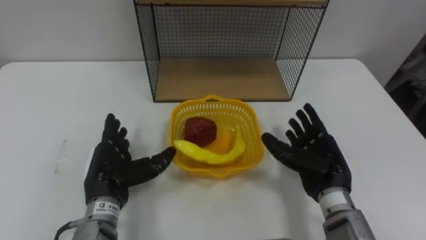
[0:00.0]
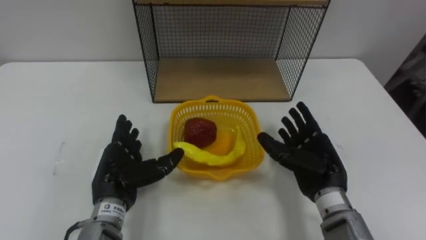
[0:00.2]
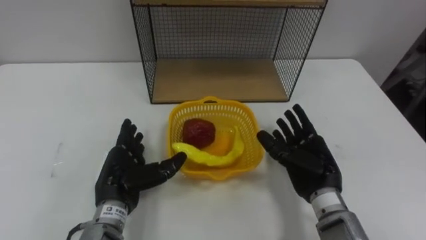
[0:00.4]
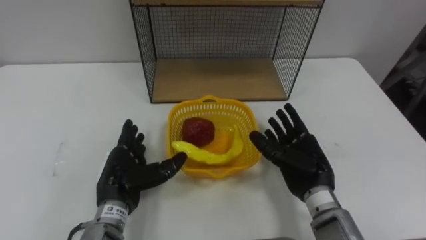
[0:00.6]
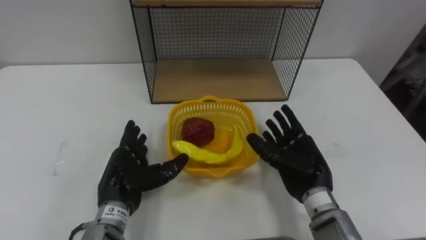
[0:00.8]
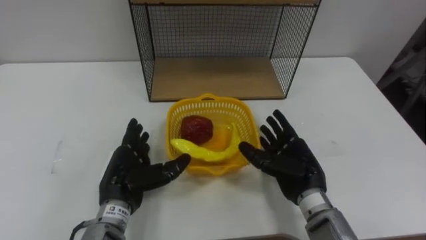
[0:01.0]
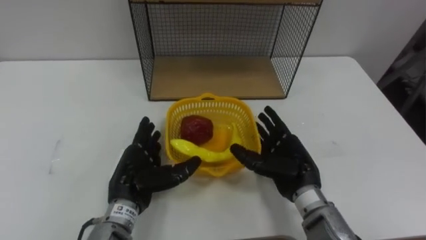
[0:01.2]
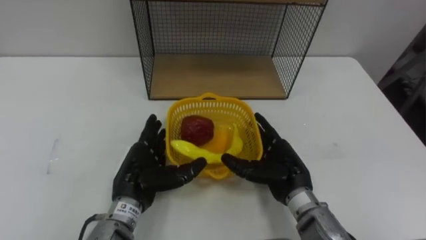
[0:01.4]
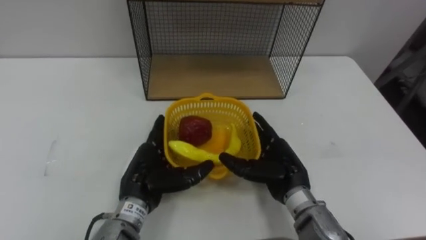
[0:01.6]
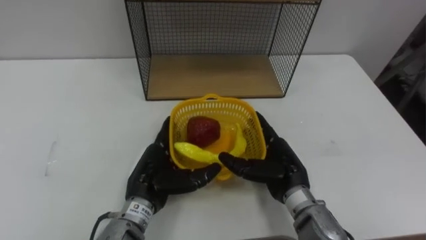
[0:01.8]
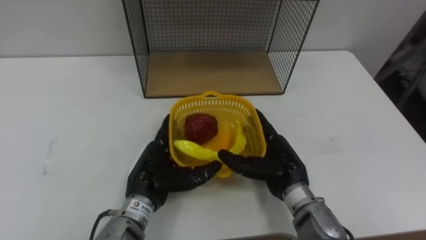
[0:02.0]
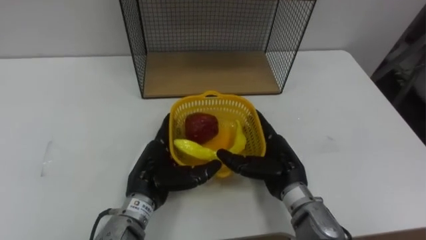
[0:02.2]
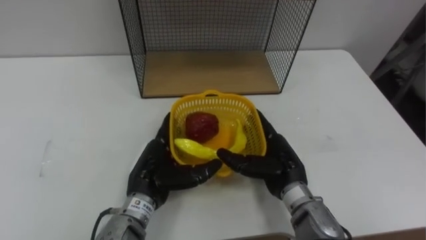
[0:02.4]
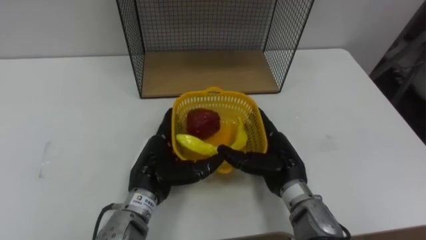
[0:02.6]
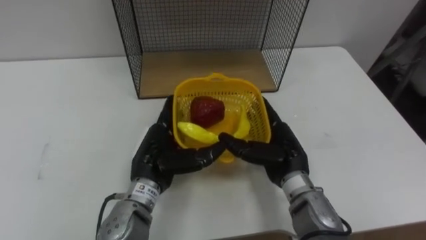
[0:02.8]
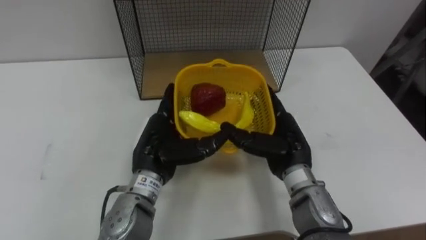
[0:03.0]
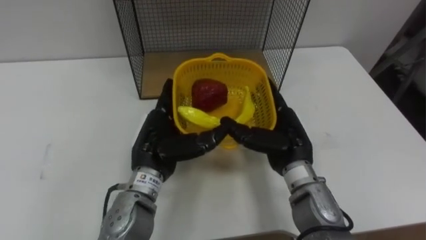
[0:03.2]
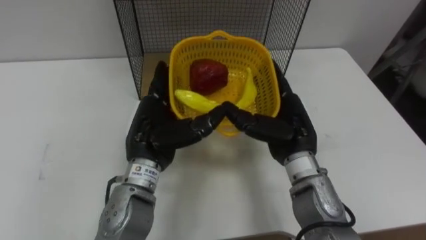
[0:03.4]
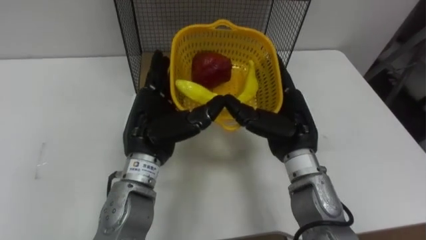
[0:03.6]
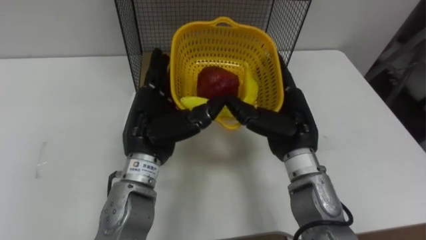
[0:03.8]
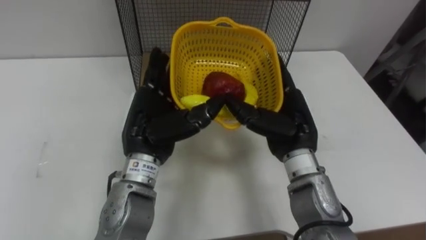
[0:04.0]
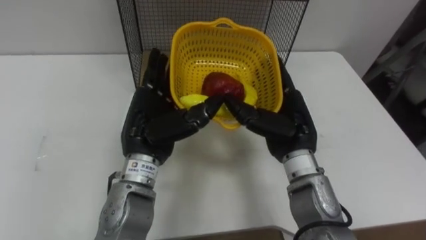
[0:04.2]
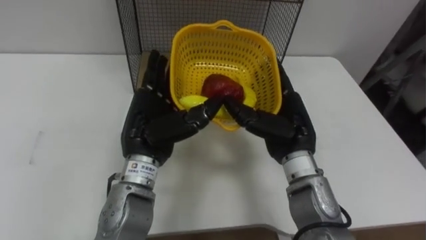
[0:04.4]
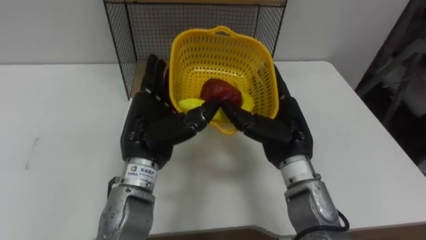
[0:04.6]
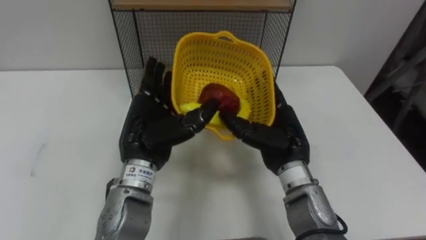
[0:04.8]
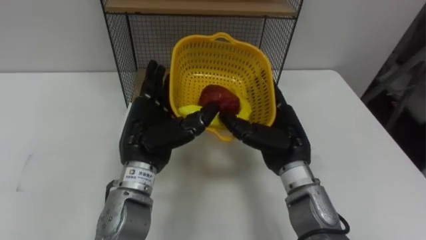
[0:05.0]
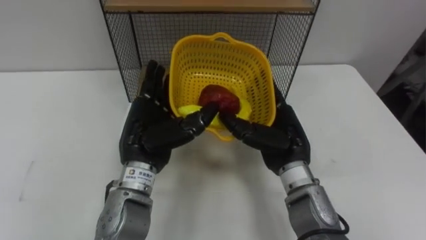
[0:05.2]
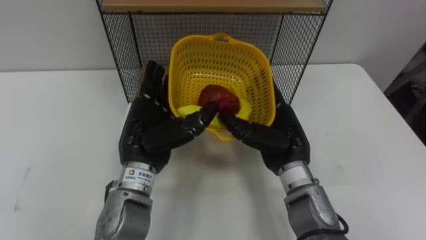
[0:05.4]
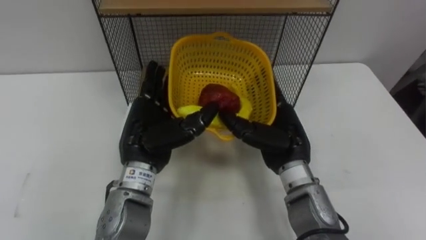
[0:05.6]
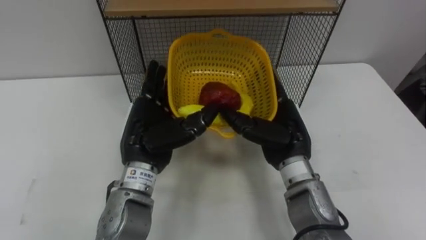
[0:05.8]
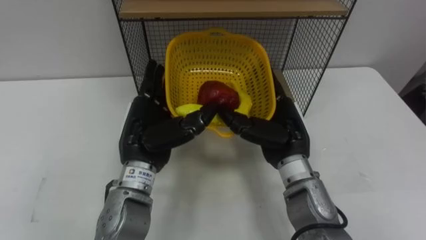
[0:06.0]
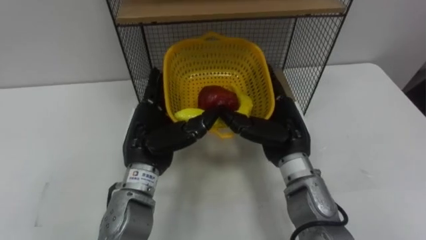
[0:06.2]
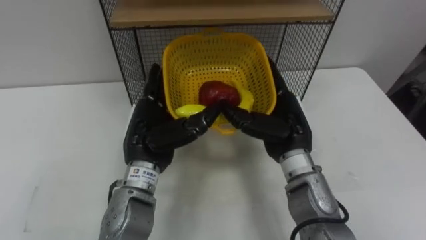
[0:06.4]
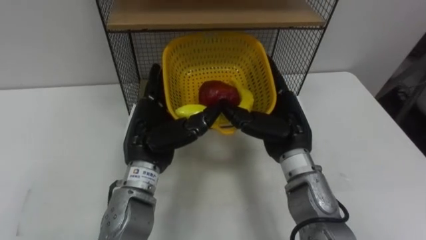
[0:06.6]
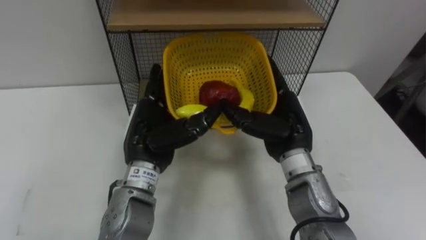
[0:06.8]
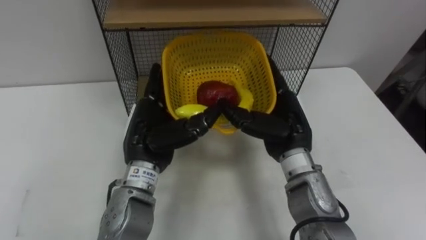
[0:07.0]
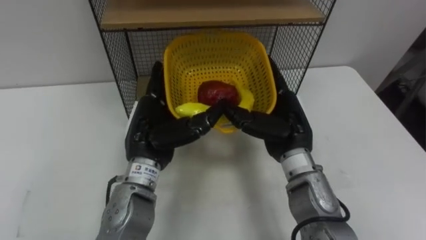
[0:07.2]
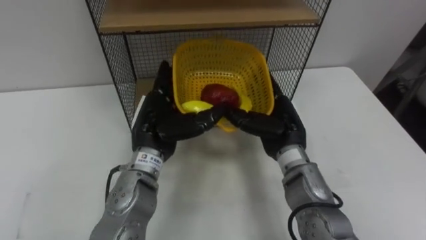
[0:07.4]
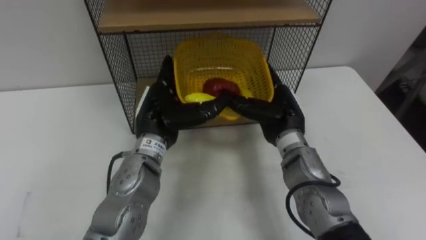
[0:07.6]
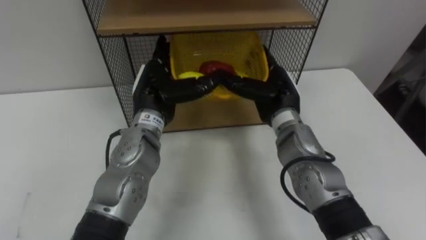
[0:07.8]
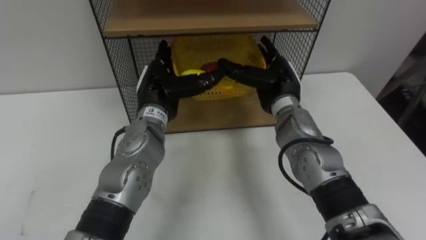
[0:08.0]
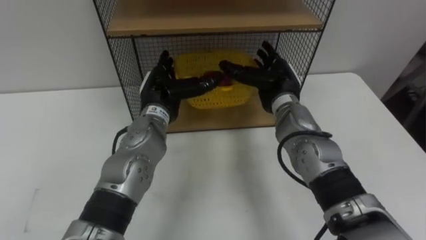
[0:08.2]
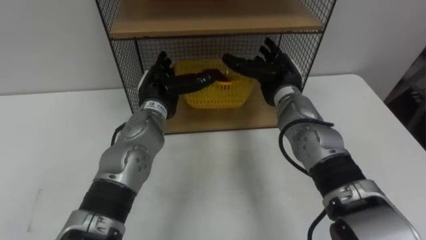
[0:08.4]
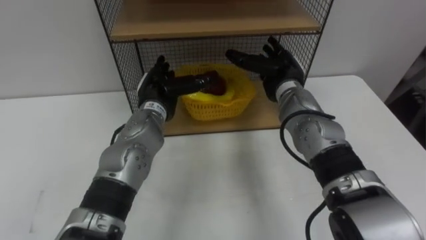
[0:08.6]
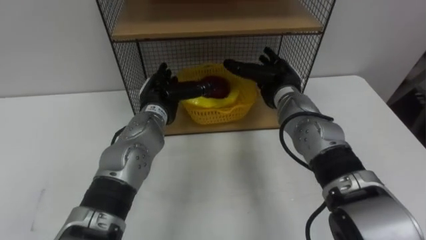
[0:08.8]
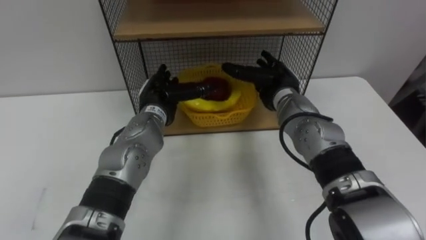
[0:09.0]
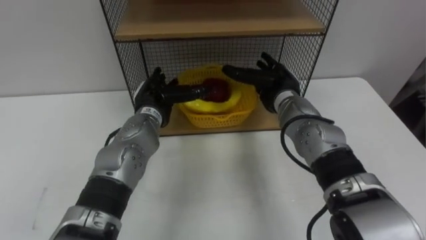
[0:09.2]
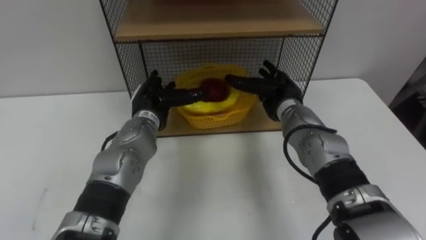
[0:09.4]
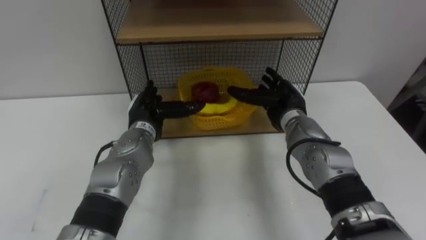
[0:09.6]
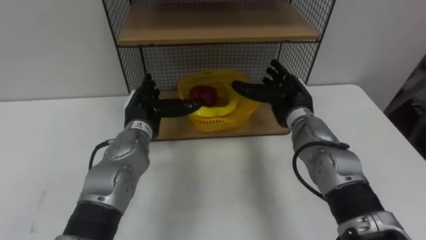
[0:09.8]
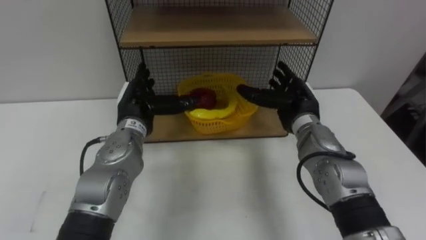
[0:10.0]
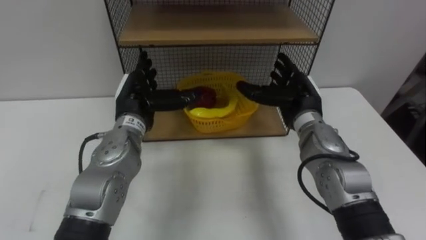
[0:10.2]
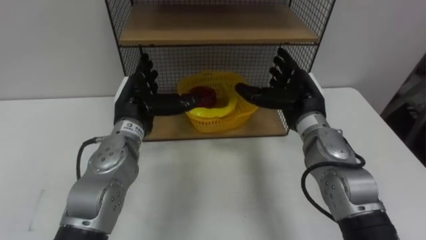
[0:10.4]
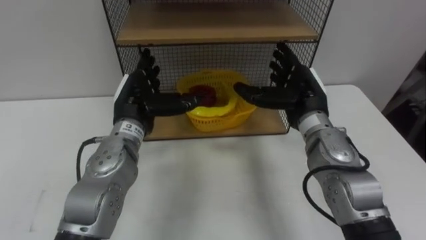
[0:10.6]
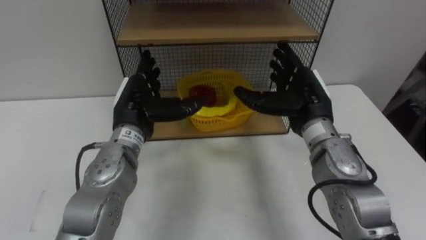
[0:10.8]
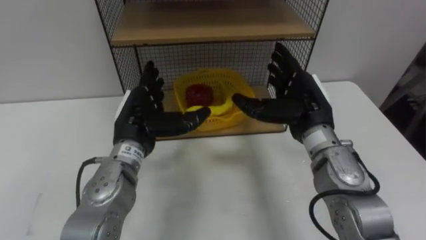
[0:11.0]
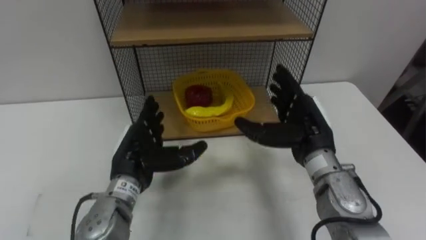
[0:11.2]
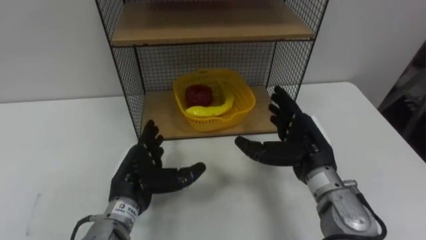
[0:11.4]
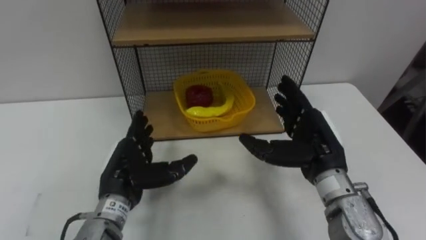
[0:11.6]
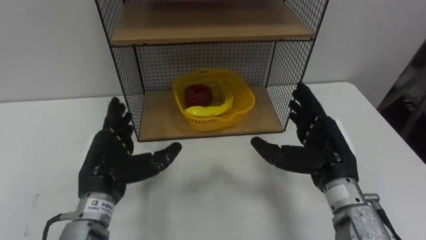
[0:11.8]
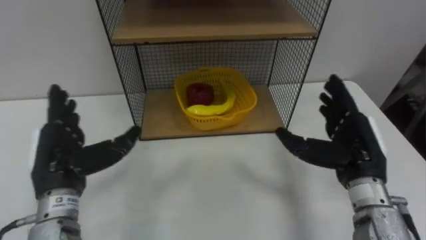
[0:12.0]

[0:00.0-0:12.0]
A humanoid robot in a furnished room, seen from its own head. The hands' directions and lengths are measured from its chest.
Task of the whole recording: Put the fruit on the table into the basket, then place the basket on the shelf.
0:00.0 to 0:01.6: The left hand is displaced to the right by roughly 5 cm, while the right hand travels to the left by roughly 5 cm.
0:01.6 to 0:03.0: The right hand moves roughly 5 cm. Meanwhile the left hand changes place by roughly 5 cm.
0:03.0 to 0:04.4: The left hand is displaced upward by some 5 cm.
0:06.0 to 0:07.6: The right hand moves roughly 5 cm.
0:07.6 to 0:09.0: The two hands go approximately 5 cm forward.
0:09.0 to 0:10.4: The left hand changes place by some 5 cm; the right hand shifts about 5 cm backward.
0:10.4 to 0:12.0: The left hand goes about 15 cm backward and to the left. The right hand moves backward and to the right, some 15 cm.

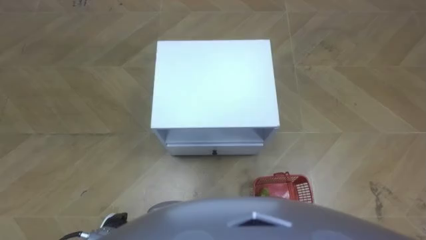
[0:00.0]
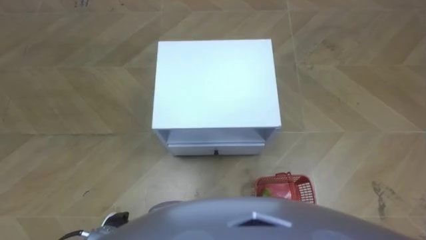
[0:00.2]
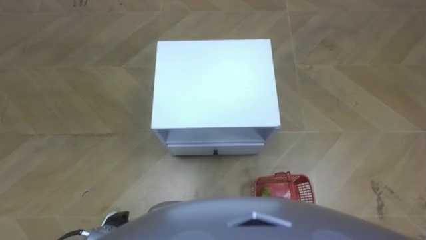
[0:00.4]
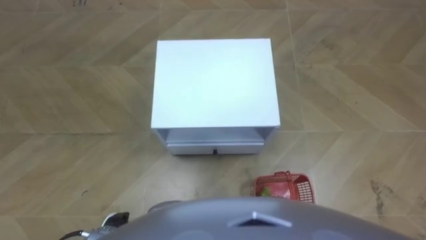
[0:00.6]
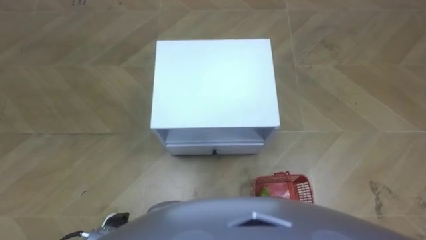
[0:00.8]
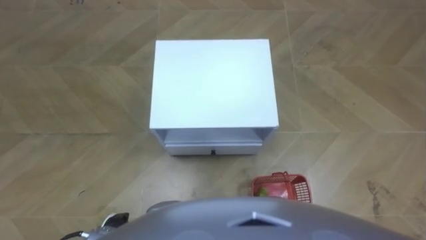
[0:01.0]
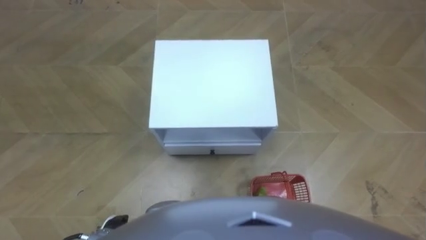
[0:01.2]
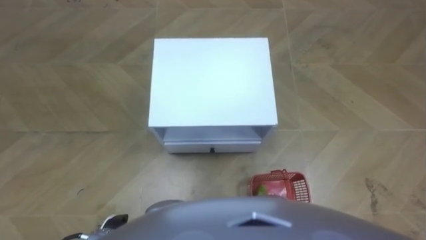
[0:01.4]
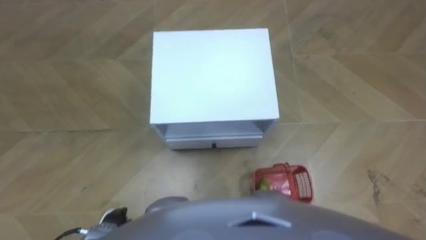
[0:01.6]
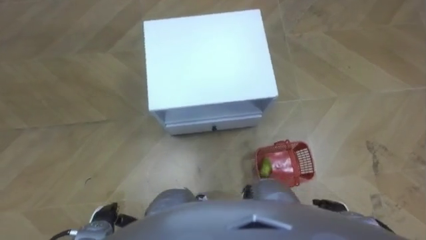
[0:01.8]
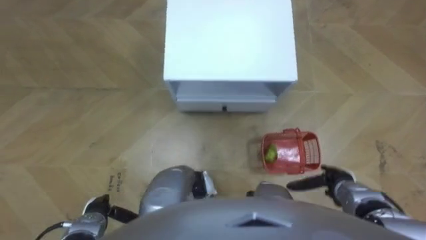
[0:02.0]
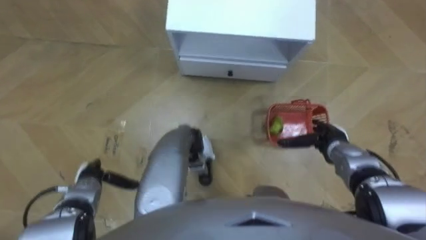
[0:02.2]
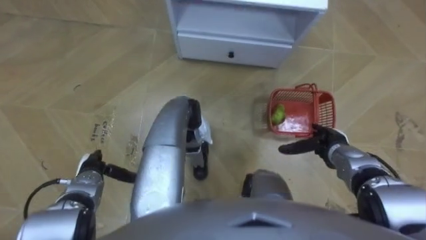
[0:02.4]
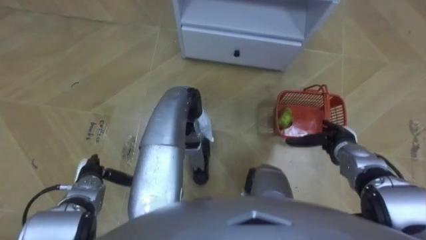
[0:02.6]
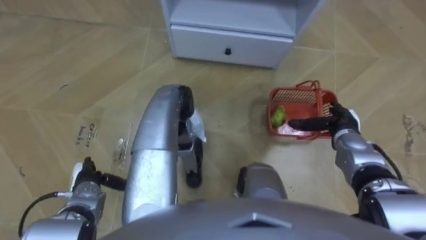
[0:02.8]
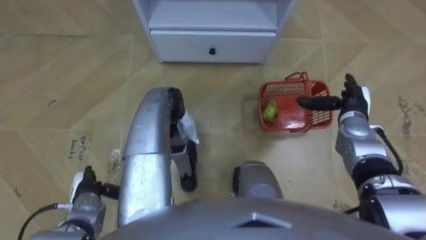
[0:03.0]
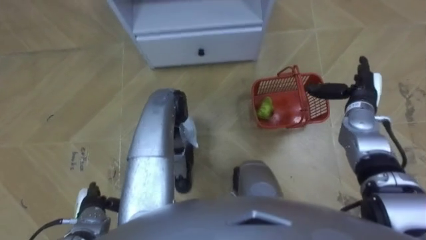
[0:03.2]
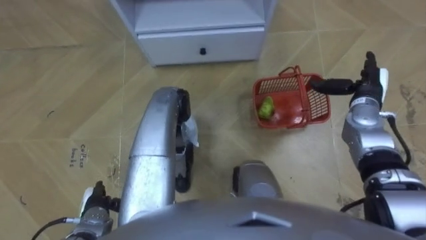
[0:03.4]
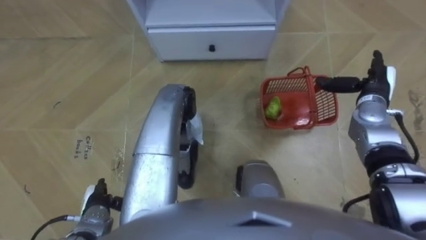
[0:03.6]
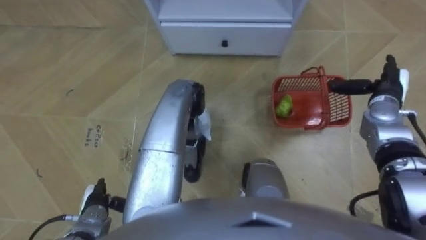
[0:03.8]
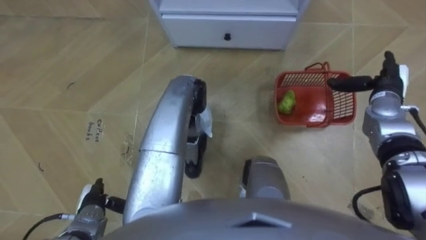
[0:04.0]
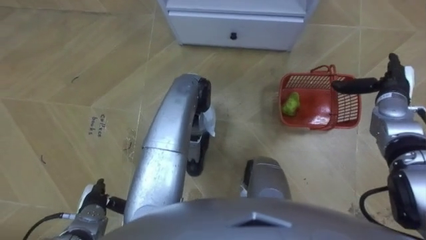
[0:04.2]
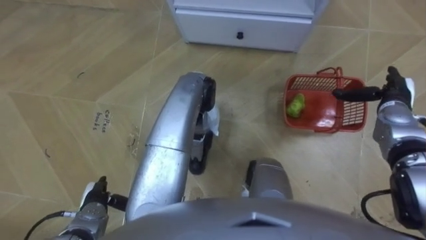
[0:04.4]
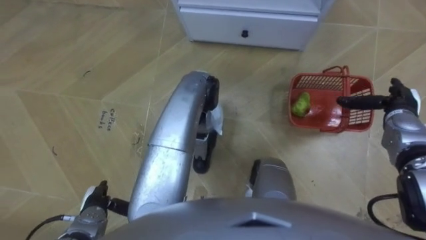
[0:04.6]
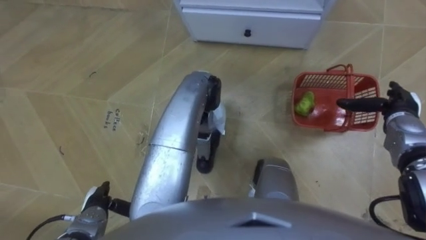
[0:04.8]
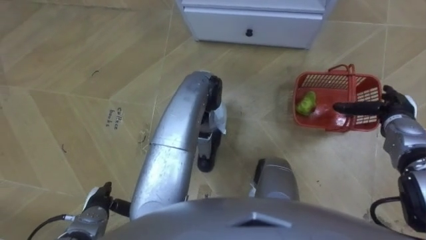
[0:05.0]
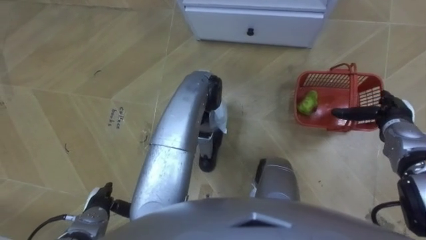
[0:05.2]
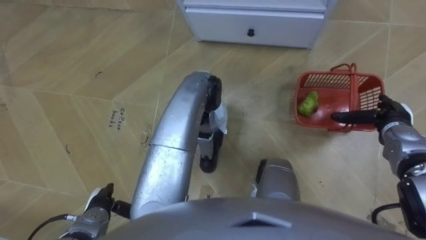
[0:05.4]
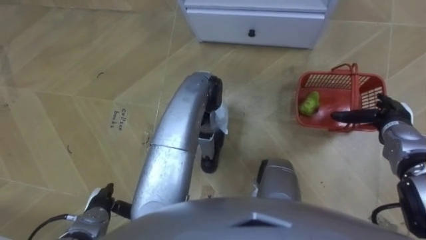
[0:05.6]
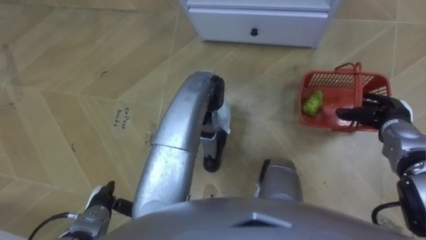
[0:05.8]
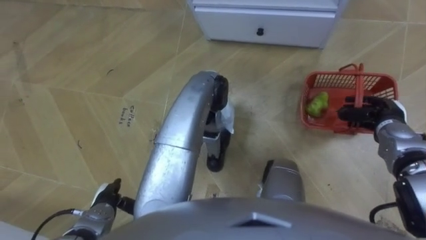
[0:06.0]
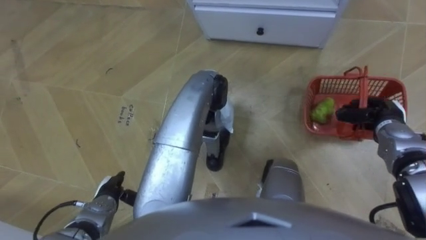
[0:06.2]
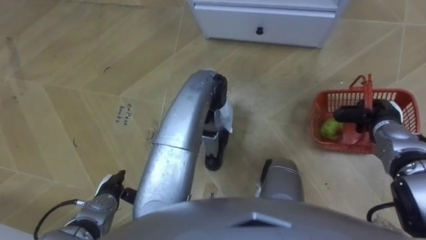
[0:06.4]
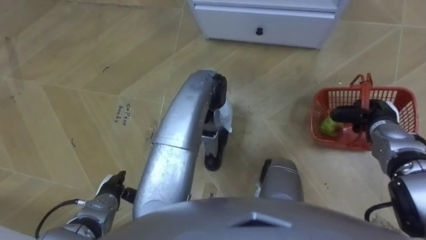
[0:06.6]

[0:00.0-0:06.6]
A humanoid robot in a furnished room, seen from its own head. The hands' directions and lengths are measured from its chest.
Task of the whole recording: Pick up the fruit basket from the floor and place it on the cabinet.
0:01.6 to 0:03.2: The left hand moves some 15 cm forward and comes back. Meanwhile the right hand is displaced forward and upward by some 30 cm.
0:03.2 to 0:05.0: The right hand moves to the right, about 5 cm.
0:05.0 to 0:06.6: The right hand closes.
